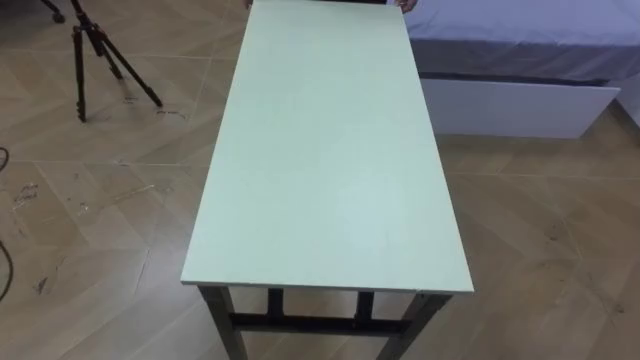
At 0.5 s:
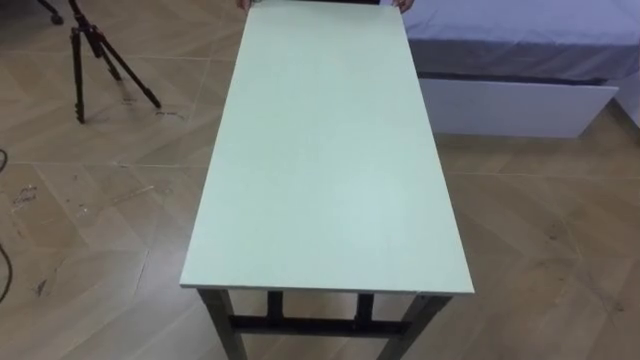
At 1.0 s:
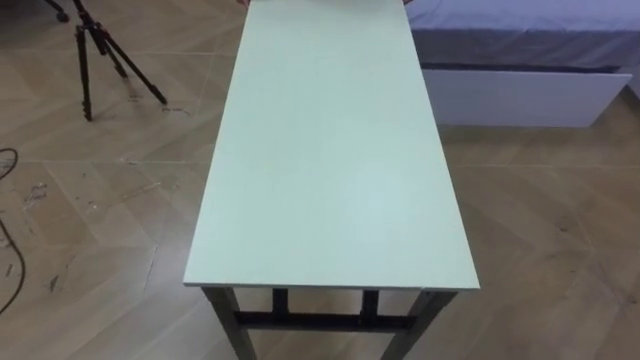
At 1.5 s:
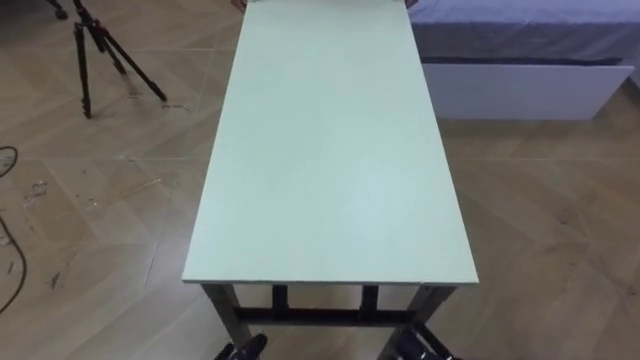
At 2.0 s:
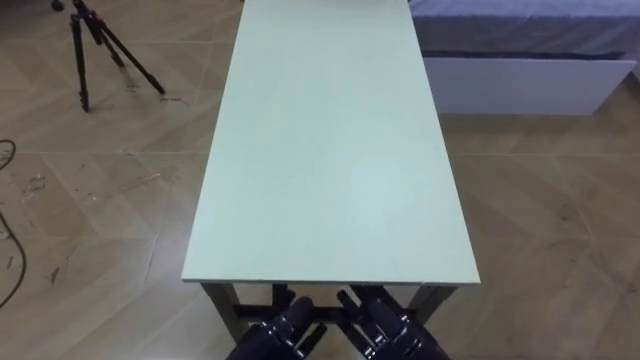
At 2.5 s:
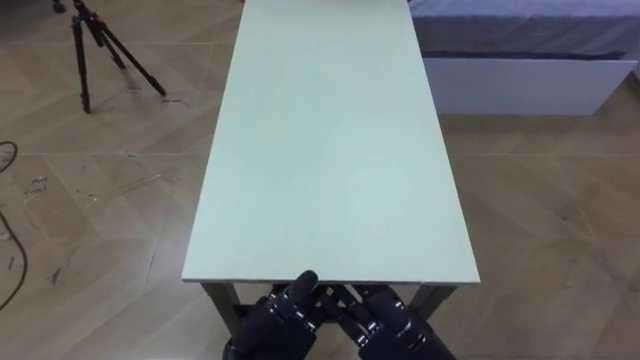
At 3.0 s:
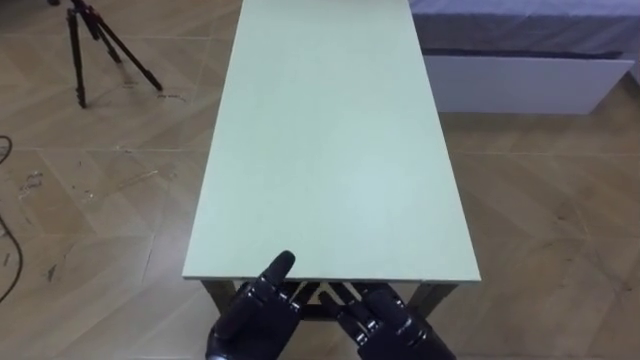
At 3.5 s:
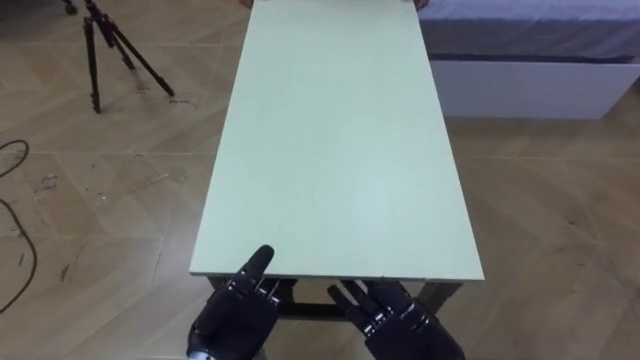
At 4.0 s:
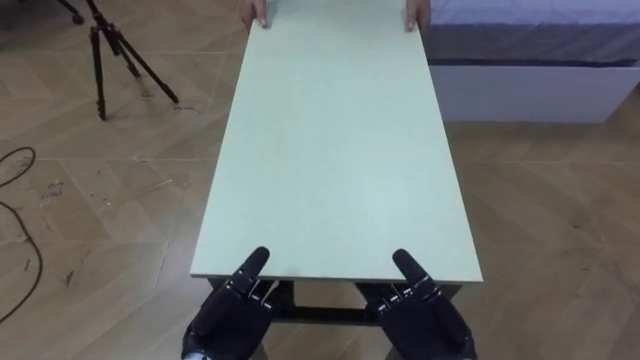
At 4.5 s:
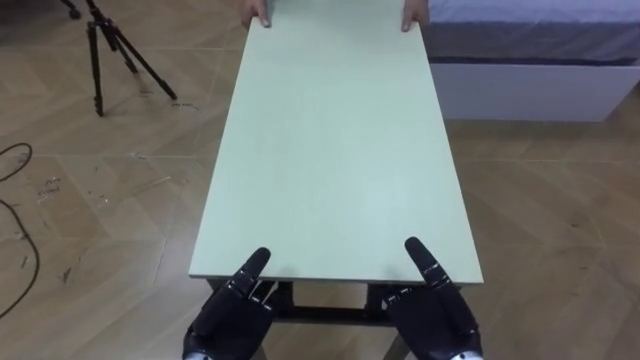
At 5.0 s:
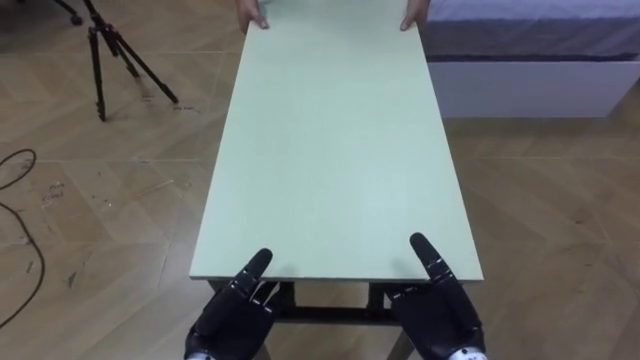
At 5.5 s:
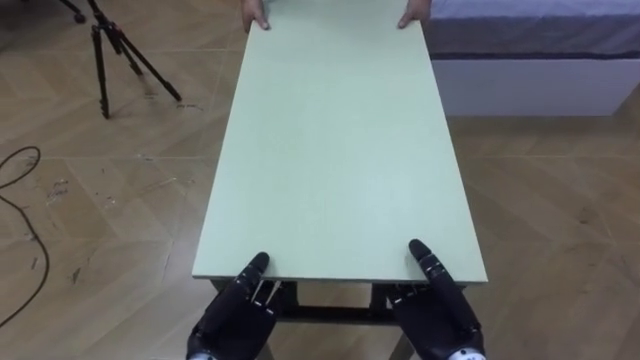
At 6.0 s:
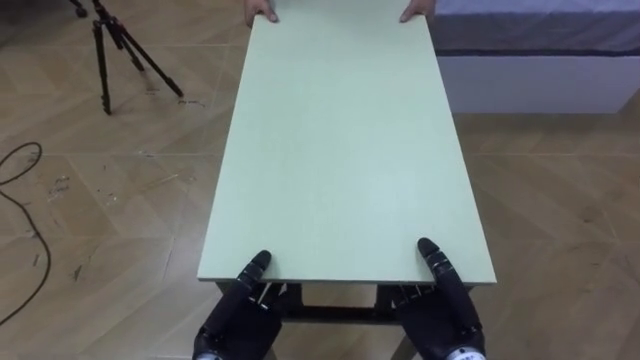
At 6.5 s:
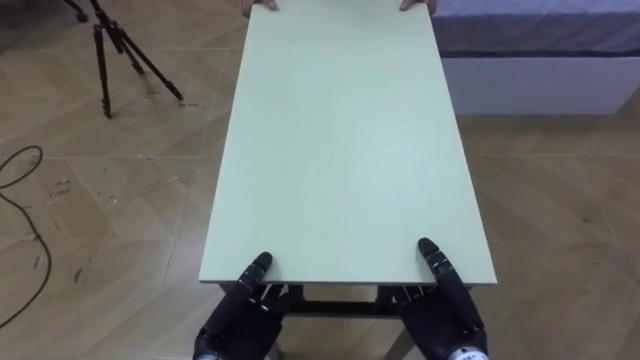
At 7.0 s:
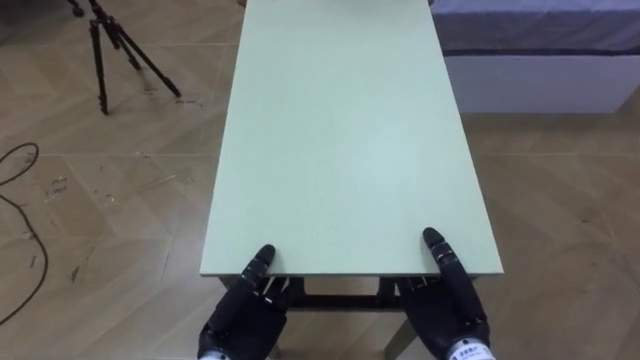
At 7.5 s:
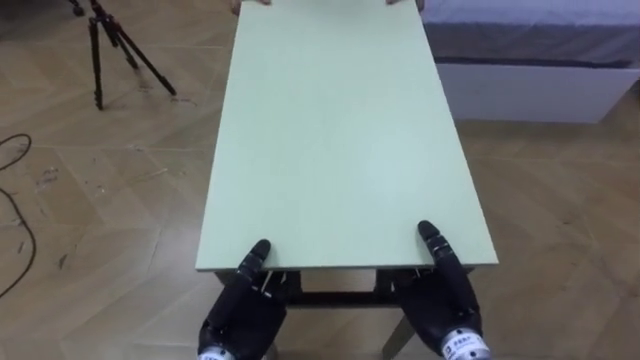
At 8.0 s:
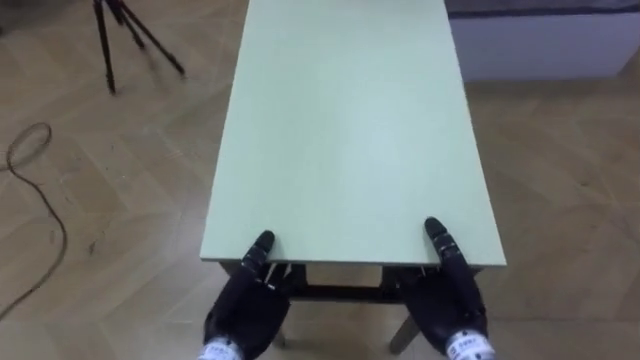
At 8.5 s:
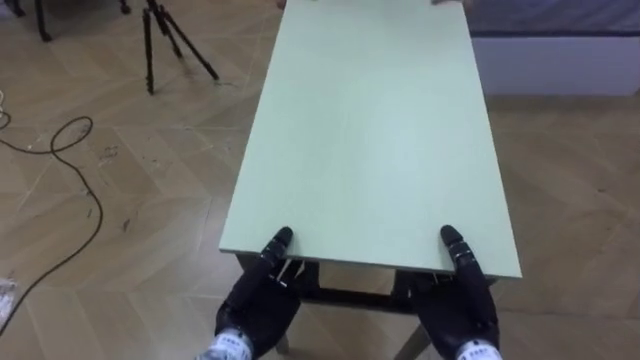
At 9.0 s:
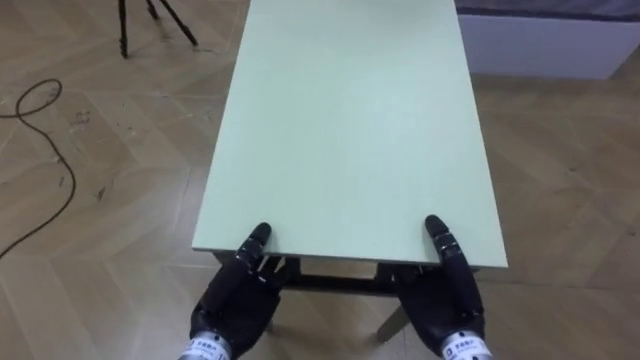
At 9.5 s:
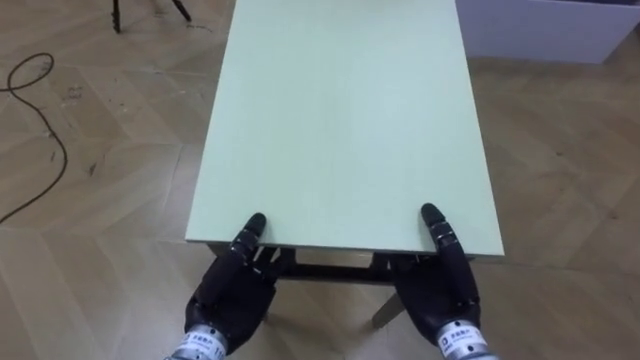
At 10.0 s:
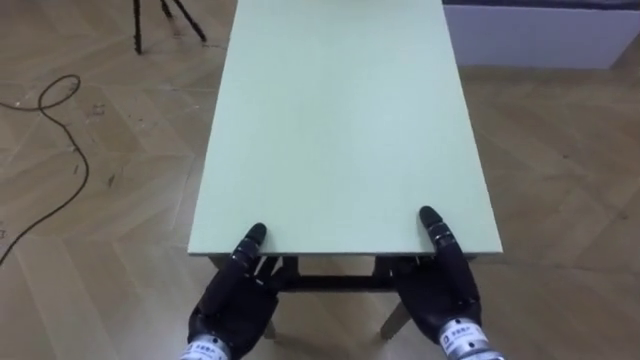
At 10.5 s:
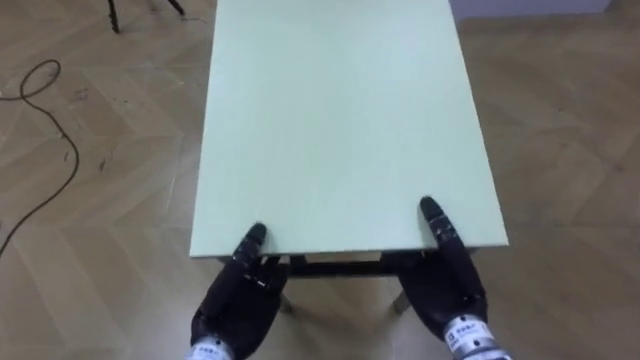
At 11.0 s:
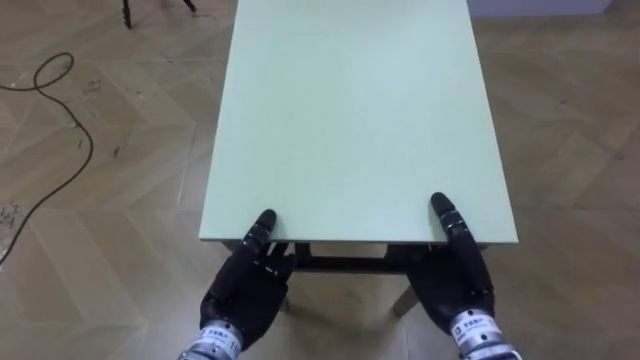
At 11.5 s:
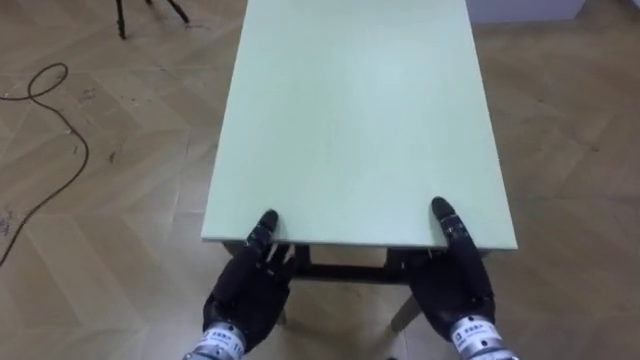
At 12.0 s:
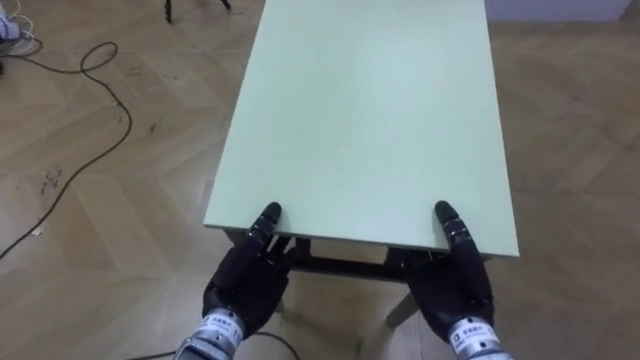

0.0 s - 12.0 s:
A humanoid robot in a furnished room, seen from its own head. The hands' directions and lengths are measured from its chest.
Task of the whole recording: Move the table to the back left with someone.
2.0 s - 4.0 s: The left hand ends up some 5 cm from where it was.
4.0 s - 6.0 s: The right hand closes. Meanwhile the left hand closes up.

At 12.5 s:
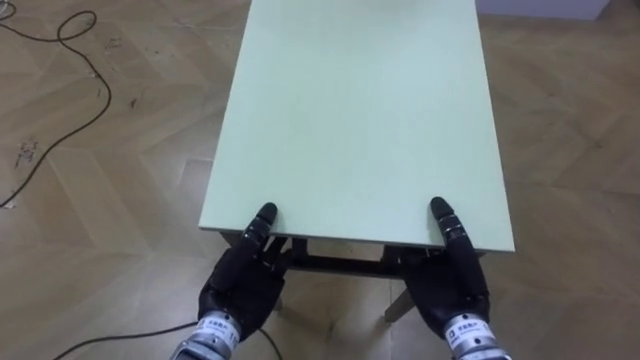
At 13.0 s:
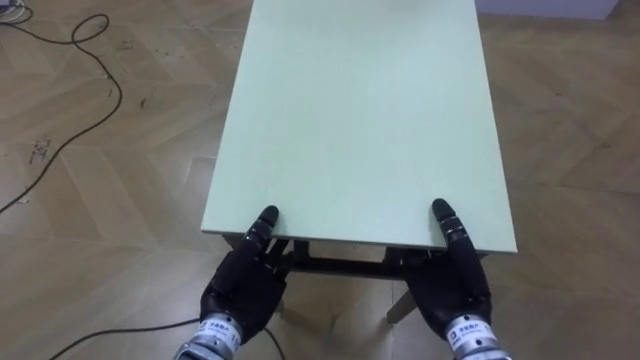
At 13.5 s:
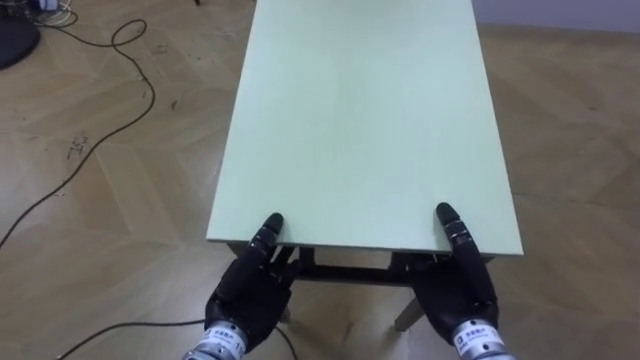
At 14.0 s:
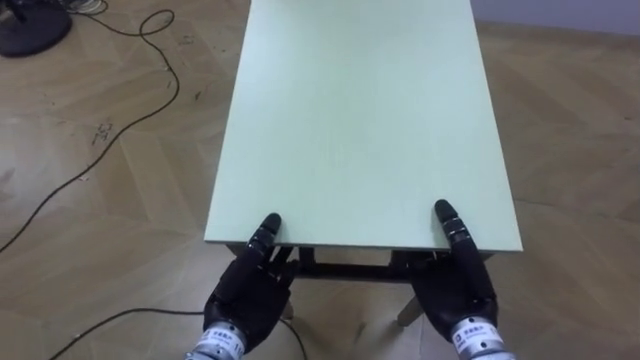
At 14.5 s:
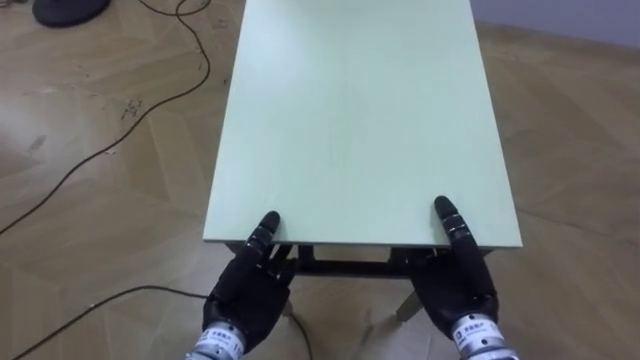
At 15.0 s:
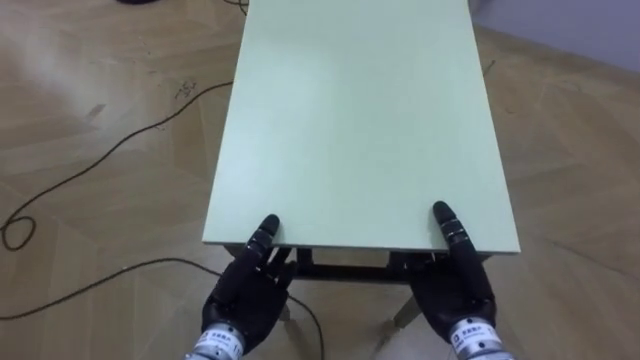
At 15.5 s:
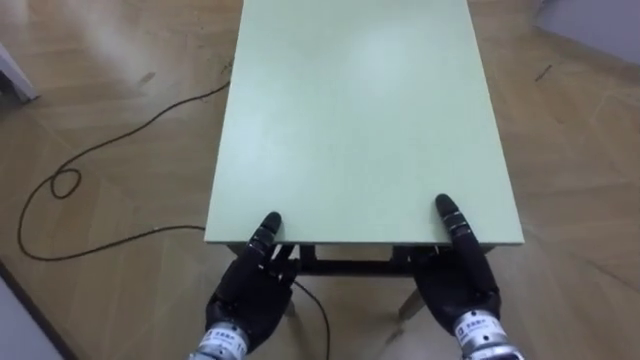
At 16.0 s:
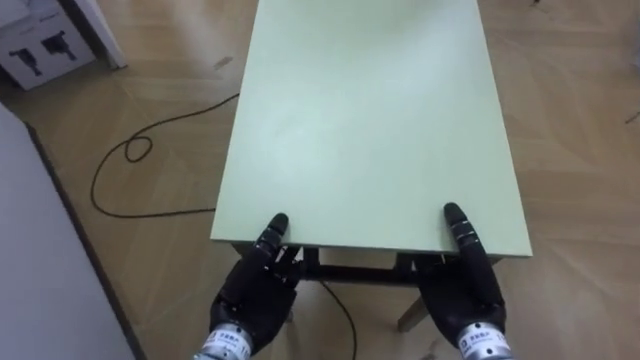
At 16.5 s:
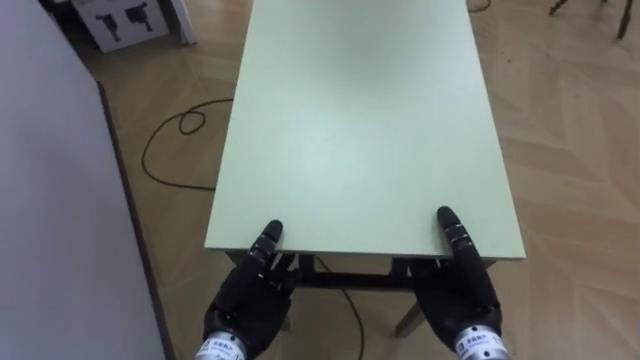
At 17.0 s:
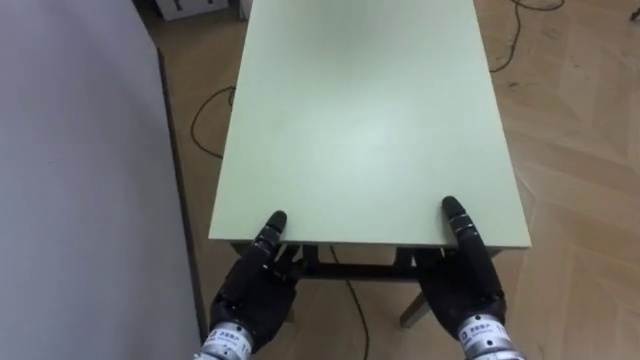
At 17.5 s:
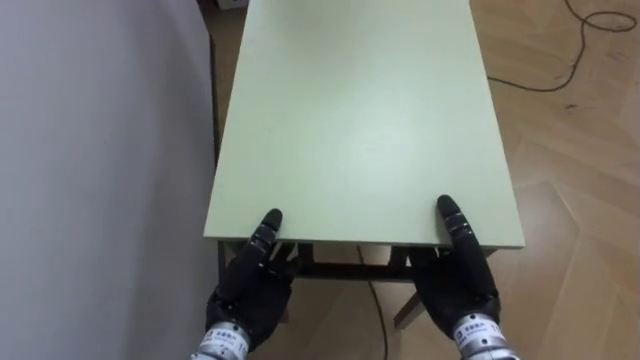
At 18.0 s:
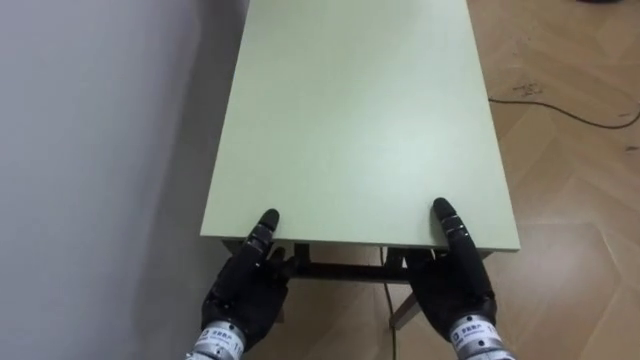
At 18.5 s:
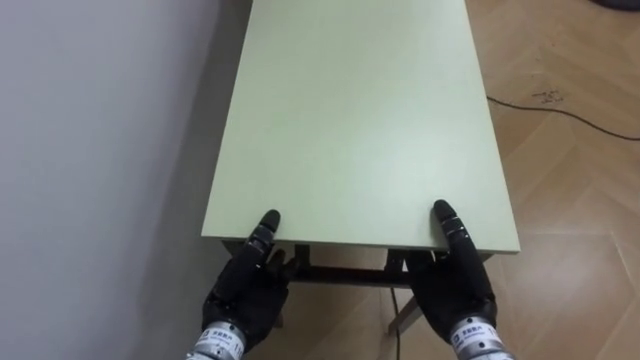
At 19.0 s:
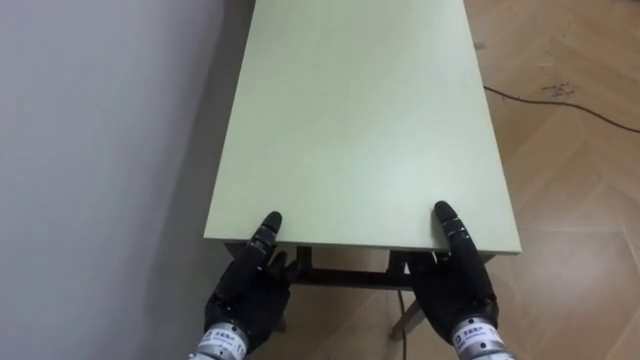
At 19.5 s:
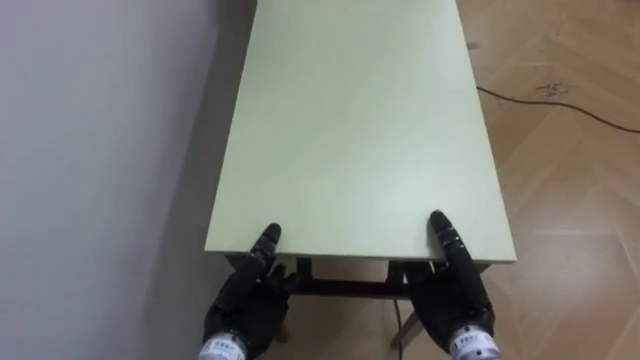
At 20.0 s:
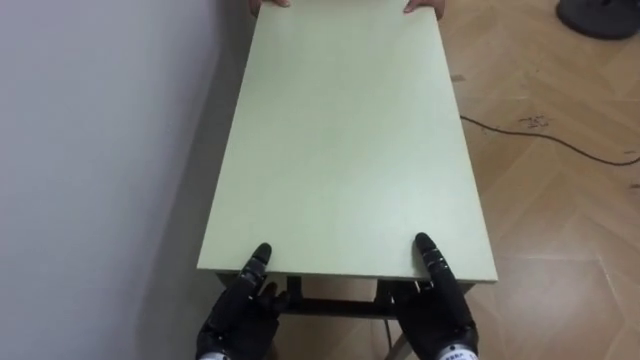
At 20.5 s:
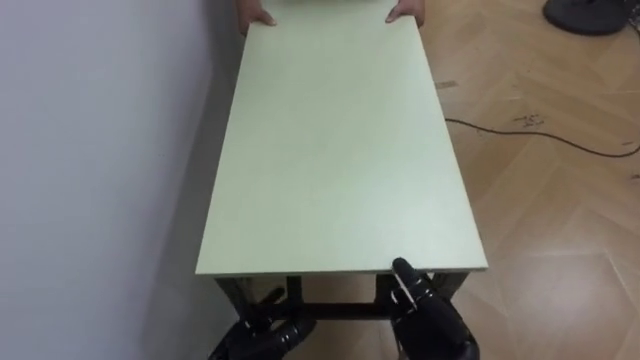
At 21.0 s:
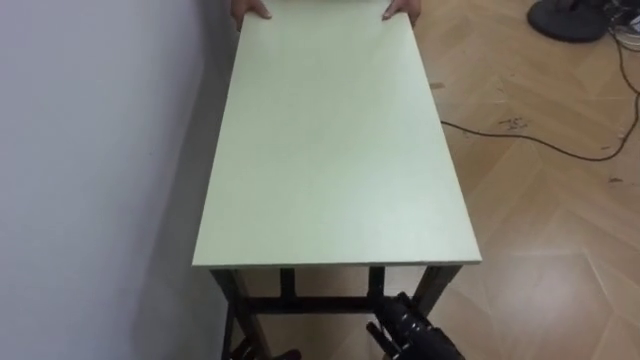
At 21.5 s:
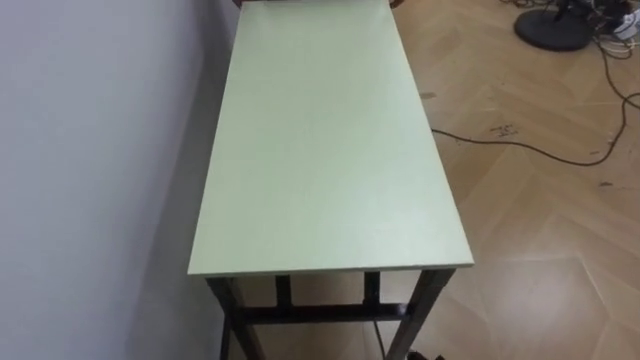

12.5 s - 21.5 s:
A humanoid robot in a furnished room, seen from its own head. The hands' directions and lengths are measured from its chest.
Task of the whole recording: Move the table to the back left with someone.
12.5 s - 14.5 s: The robot's body swings roughly 20 degrees to its left.
14.5 s - 17.0 s: The robot's body swings about 55 degrees to its left.
17.0 s - 19.5 s: The robot faces about 20 degrees further to its left.
